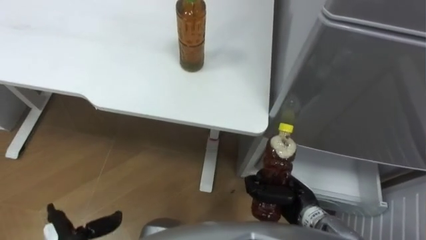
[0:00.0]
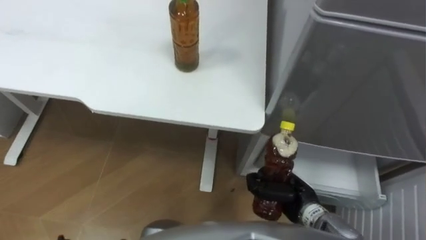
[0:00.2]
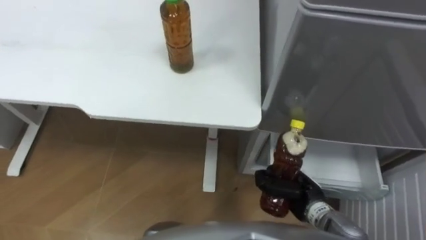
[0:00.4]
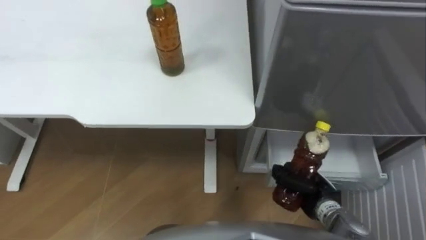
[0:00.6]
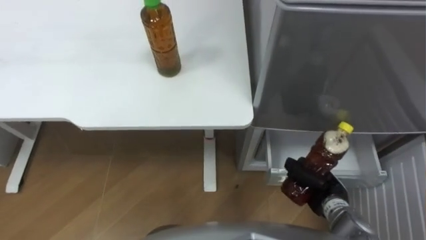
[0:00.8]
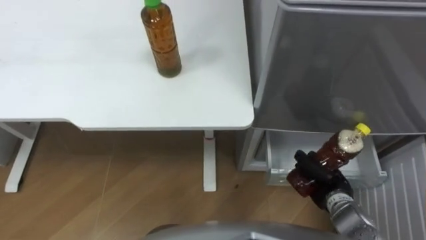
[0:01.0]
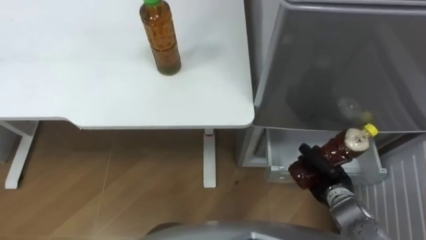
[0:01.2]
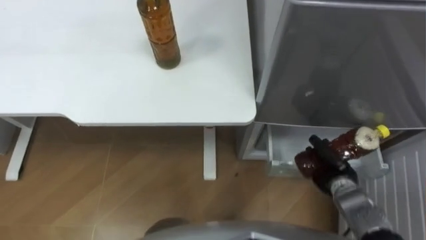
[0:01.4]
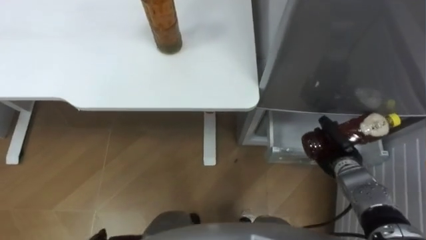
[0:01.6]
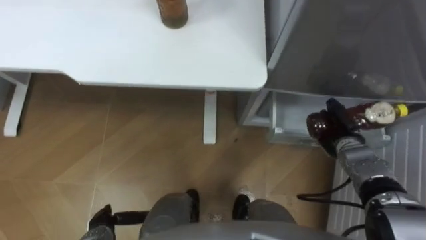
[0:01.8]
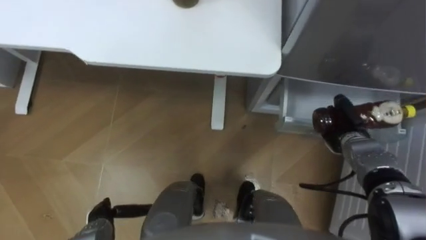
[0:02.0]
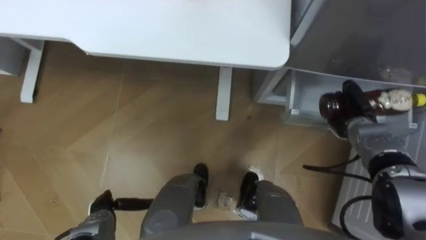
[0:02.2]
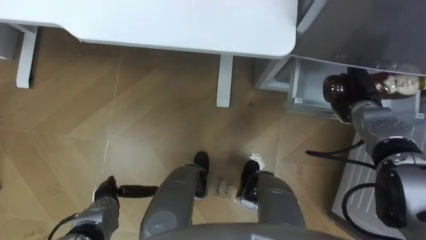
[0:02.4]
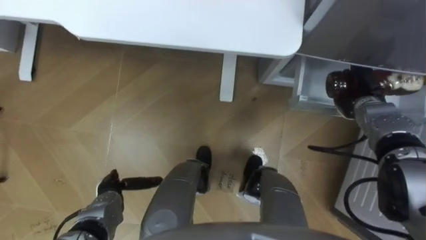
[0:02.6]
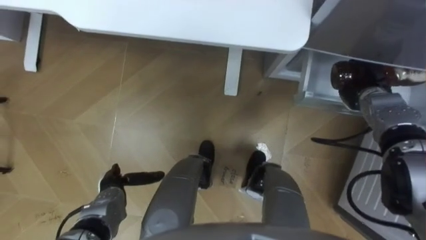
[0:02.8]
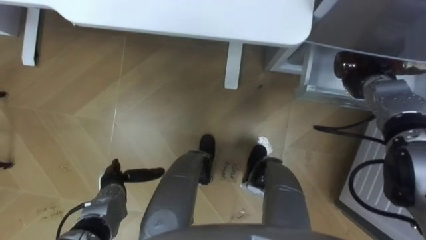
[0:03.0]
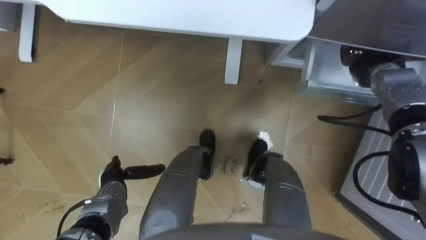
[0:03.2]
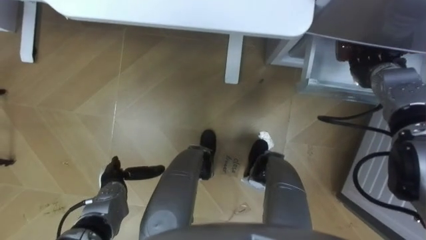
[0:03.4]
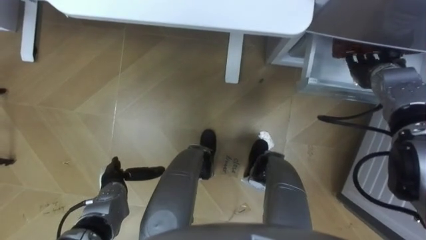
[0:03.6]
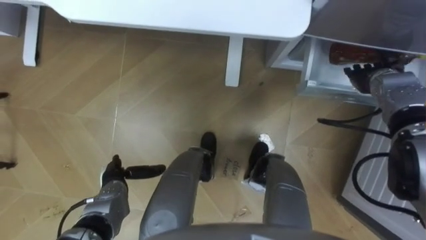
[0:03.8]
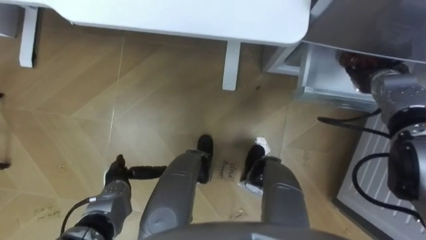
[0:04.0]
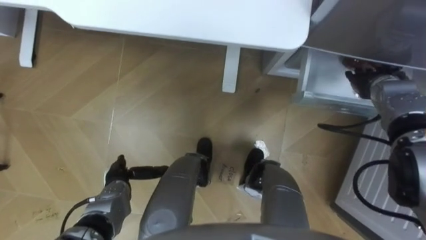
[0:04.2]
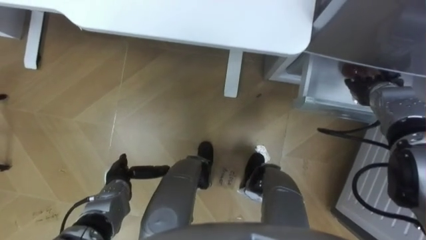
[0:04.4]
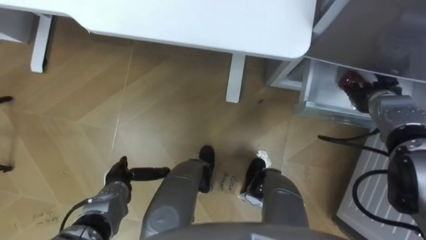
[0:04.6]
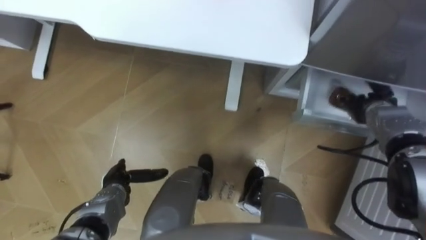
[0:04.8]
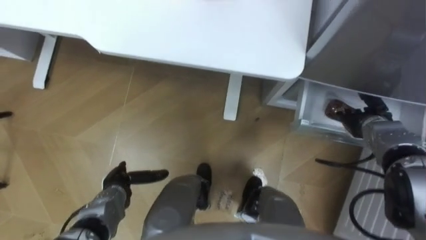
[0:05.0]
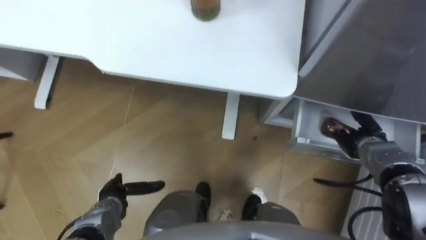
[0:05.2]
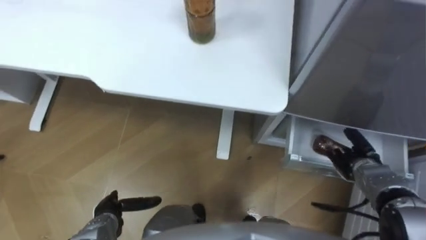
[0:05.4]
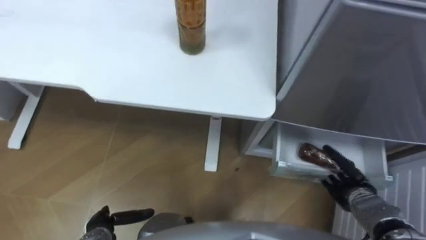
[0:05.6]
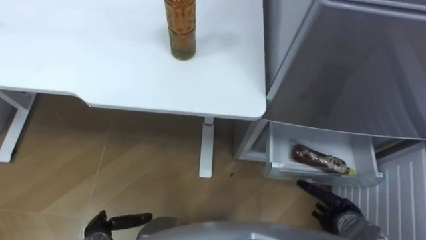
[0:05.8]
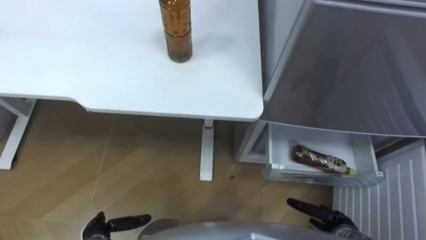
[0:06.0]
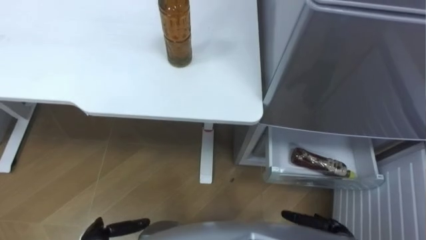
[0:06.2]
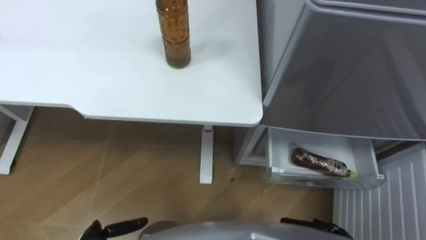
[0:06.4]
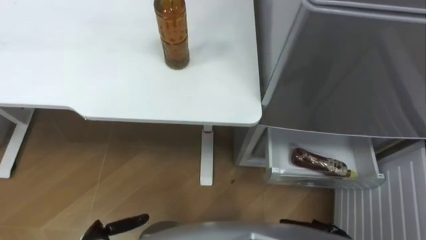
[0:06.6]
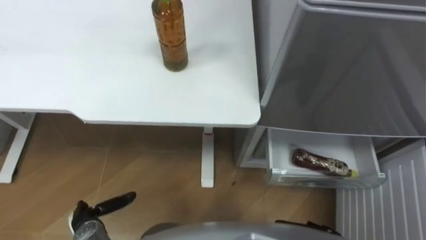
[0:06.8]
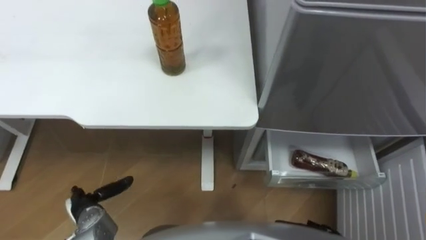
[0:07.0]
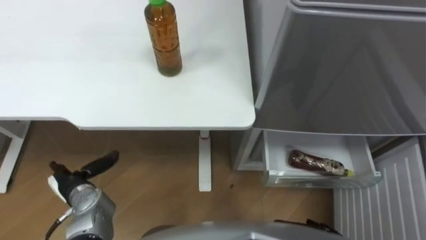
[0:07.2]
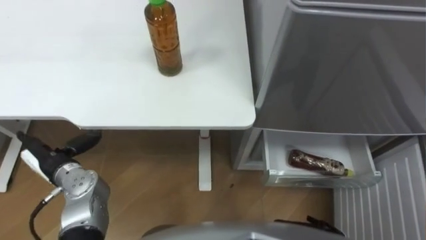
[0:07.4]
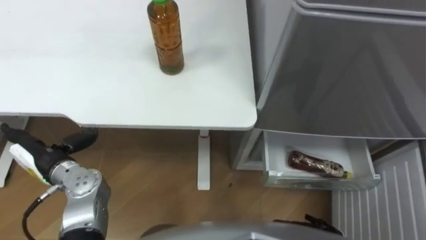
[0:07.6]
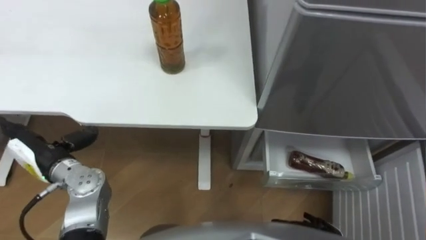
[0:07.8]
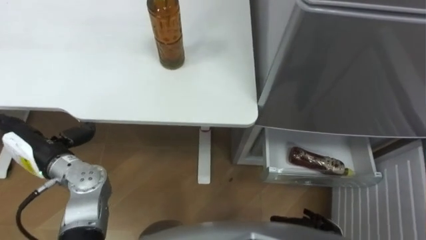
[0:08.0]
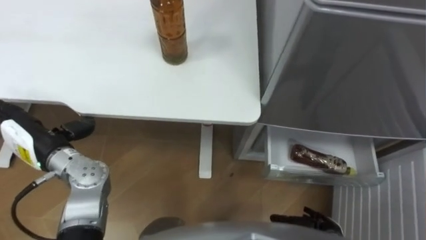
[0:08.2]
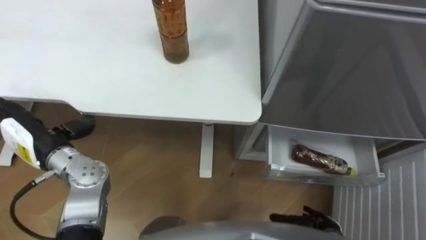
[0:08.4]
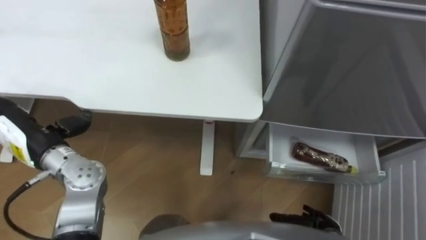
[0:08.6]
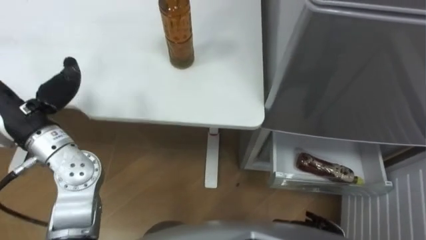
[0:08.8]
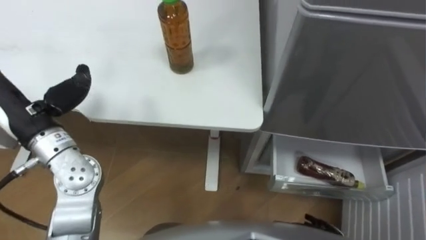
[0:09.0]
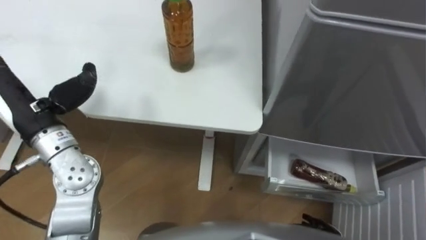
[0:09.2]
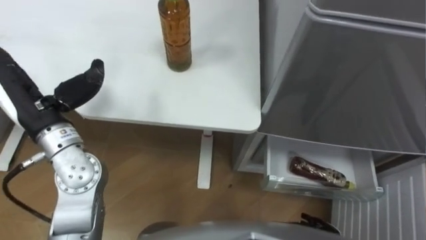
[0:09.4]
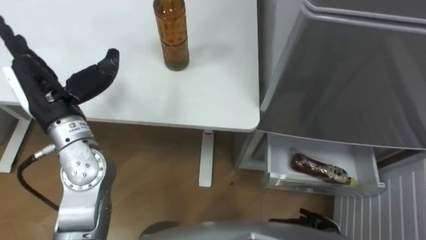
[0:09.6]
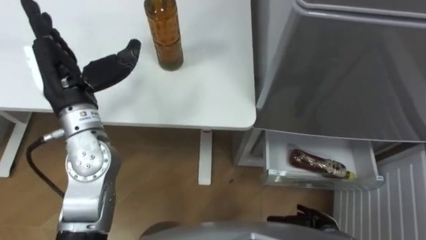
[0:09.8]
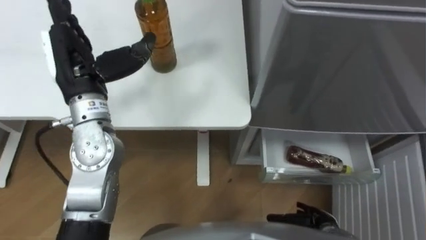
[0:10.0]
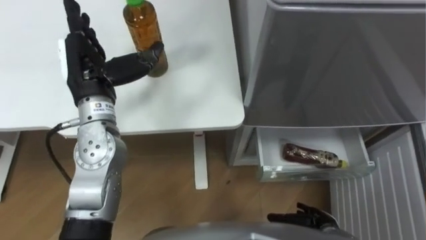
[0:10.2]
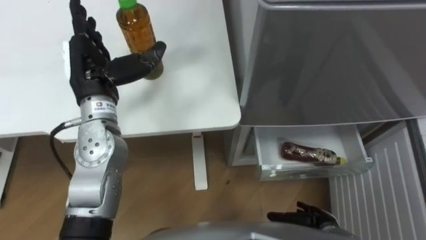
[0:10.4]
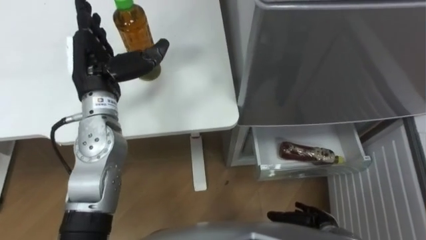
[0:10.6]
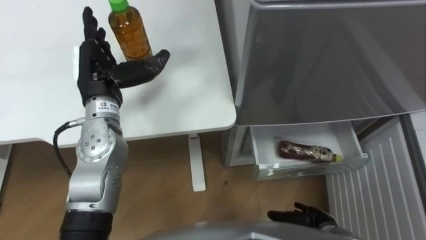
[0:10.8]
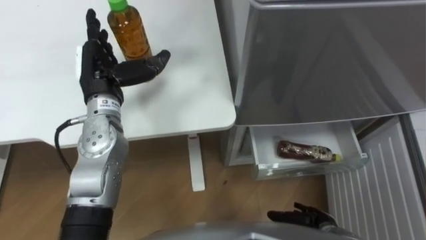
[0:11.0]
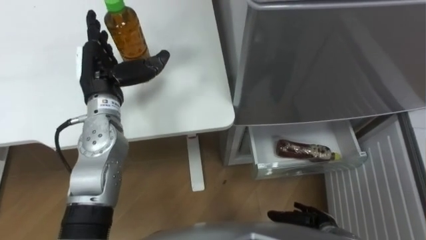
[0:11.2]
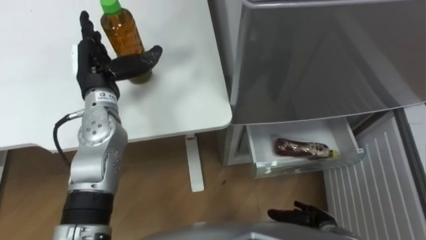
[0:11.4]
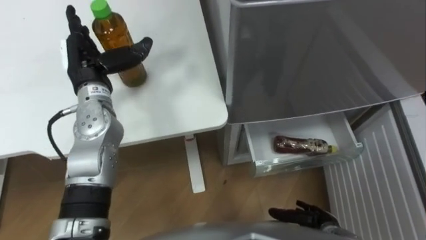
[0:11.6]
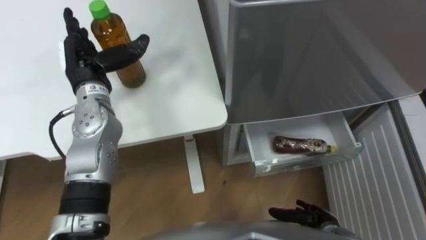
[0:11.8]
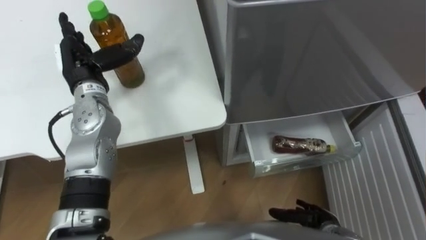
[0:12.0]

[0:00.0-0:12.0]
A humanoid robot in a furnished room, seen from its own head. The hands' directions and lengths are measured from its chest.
Task of the whole recording: Place the drink on the table on the bottom shelf of the refrigerator, then close the drawer and the refrigerator door.
0:00.0 to 0:01.6: The right hand shifts approximately 15 cm to the right and forward.
0:01.6 to 0:03.0: The right hand goes some 15 cm forward and upward.
0:03.0 to 0:04.4: The right hand opens up.
0:04.4 to 0:06.0: The right hand travels backward and downward by about 30 cm. The left hand shifts roughly 10 cm backward.
0:07.6 to 0:09.0: The left hand heads upward, covering roughly 15 cm.
0:09.0 to 0:10.4: The left hand travels to the right and forward by roughly 10 cm.
0:10.4 to 0:12.0: The left hand shifts by approximately 5 cm.

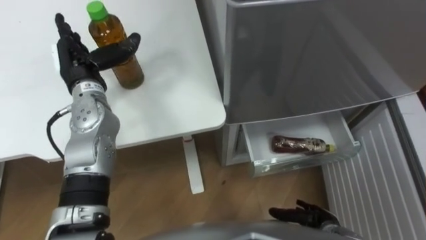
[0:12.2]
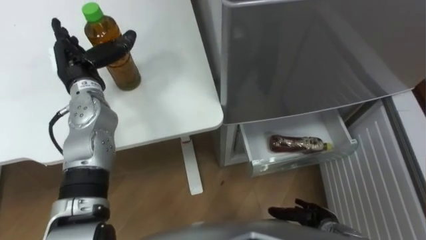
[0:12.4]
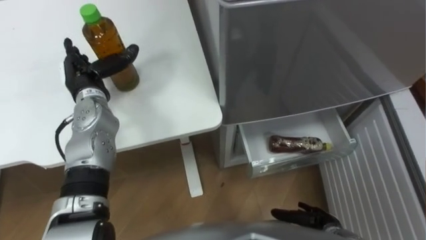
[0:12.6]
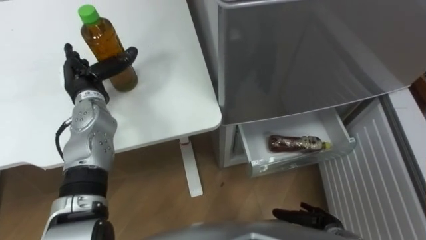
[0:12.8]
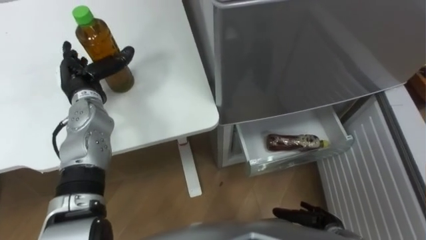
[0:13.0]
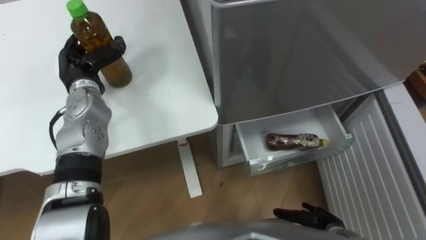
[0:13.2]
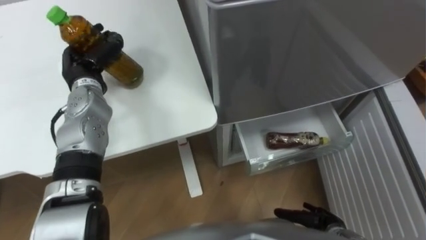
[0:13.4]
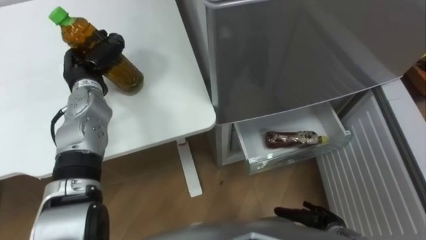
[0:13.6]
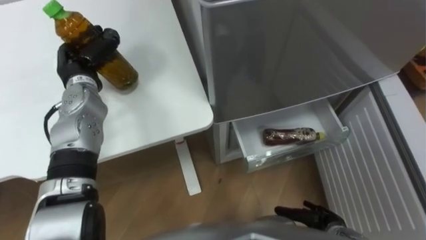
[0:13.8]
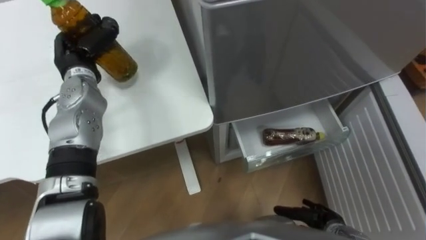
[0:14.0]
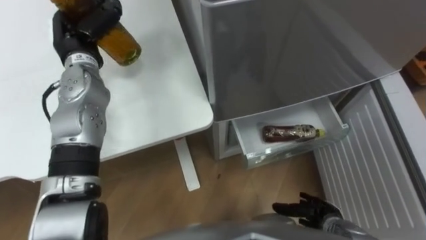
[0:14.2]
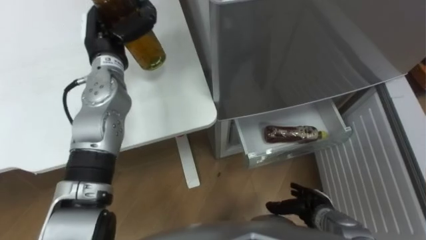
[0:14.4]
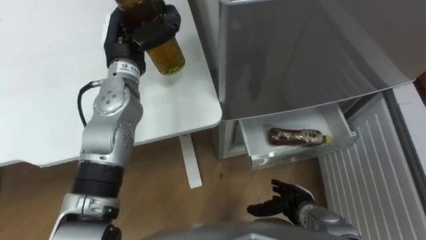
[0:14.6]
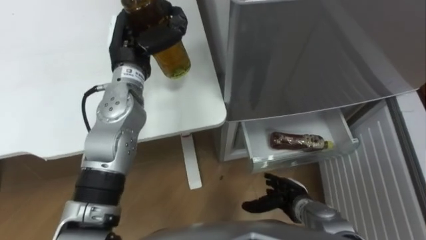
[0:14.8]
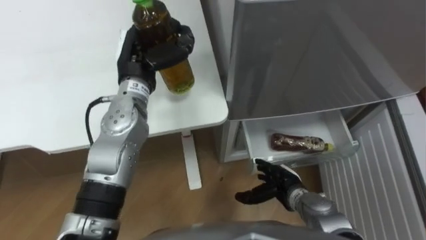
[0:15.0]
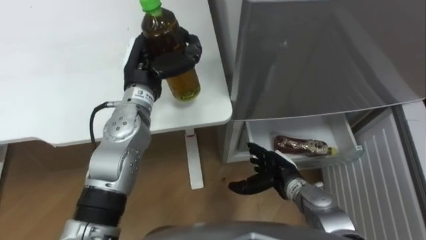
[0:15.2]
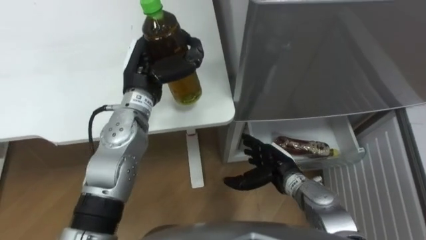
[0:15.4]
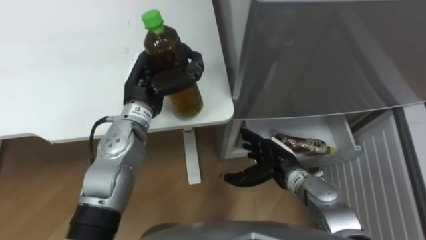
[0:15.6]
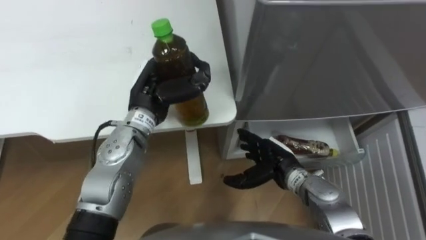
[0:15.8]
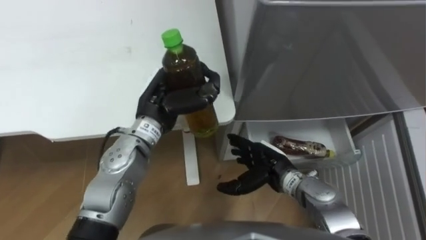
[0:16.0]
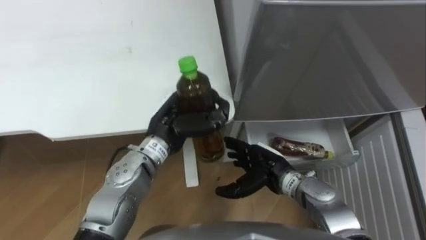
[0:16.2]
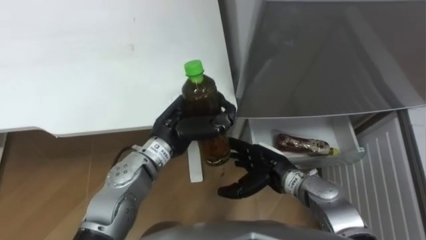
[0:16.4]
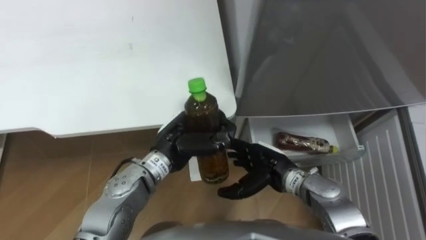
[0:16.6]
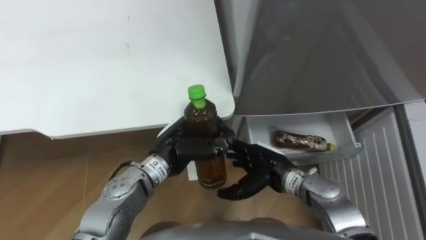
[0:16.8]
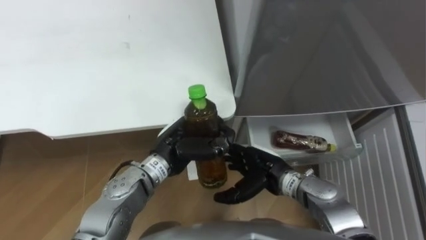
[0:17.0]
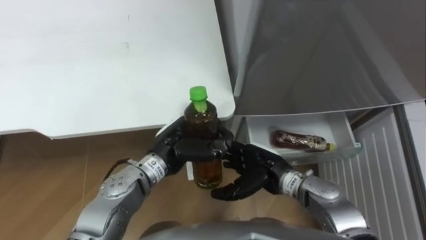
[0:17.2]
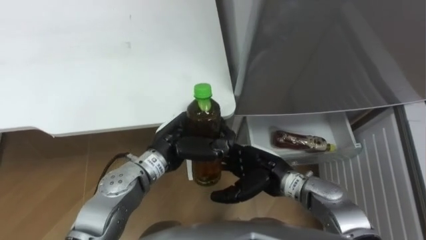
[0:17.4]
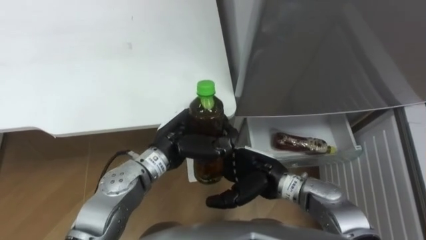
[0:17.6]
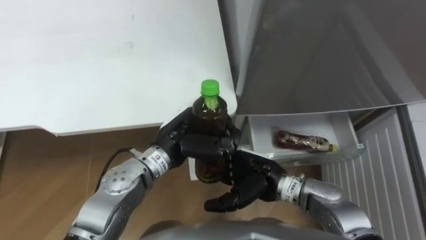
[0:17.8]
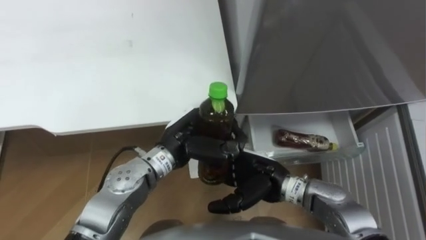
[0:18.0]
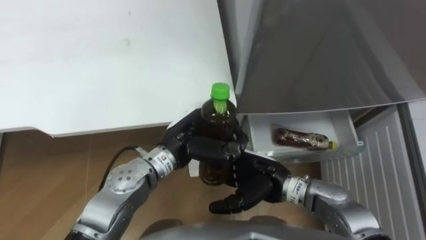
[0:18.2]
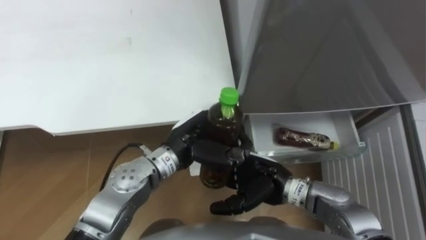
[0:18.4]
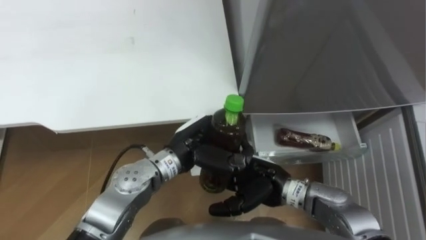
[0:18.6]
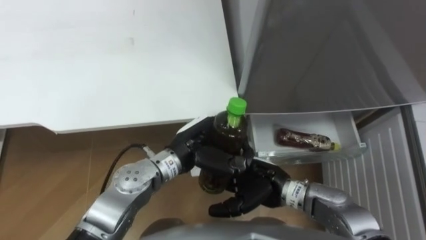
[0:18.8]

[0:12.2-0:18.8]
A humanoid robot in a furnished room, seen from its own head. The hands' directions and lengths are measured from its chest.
Task of the whole recording: Place the drink on the table on the bottom shelf of the refrigerator, then close the drawer and the refrigerator door.
0:12.2 to 0:13.8: The left hand closes.
0:13.8 to 0:15.4: The left hand shifts approximately 15 cm to the right. The right hand is displaced forward, to the left and upward by about 20 cm.
0:15.4 to 0:17.2: The left hand goes roughly 15 cm backward, downward and to the right.
